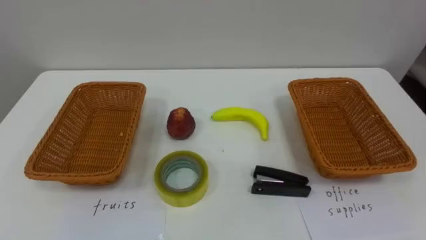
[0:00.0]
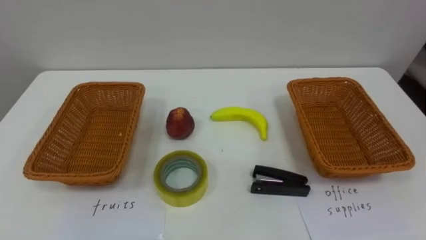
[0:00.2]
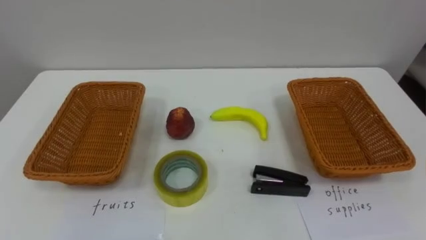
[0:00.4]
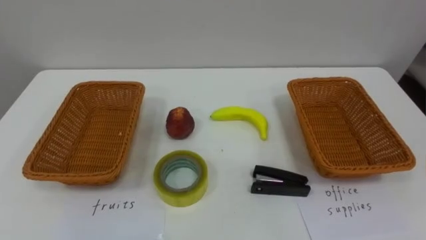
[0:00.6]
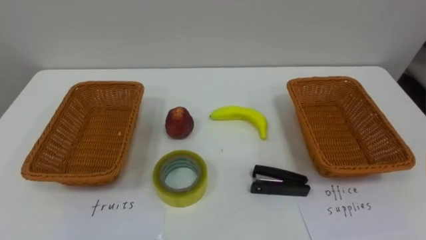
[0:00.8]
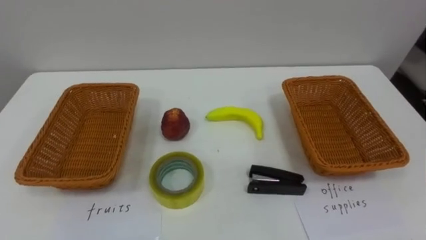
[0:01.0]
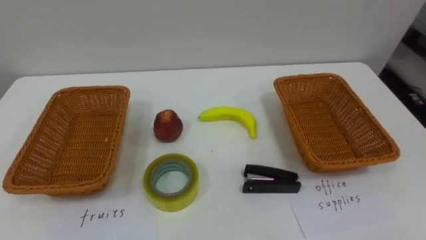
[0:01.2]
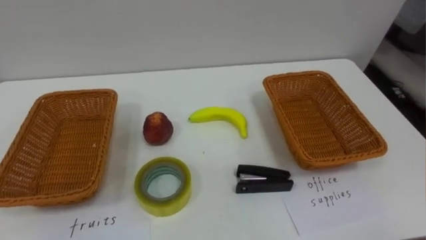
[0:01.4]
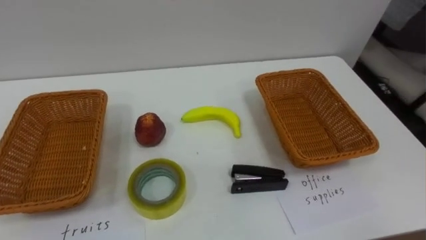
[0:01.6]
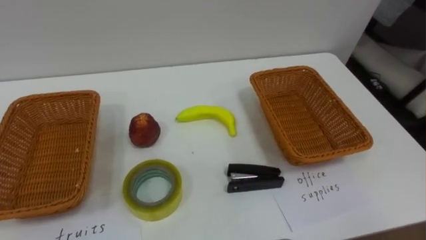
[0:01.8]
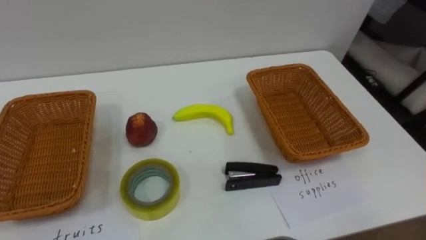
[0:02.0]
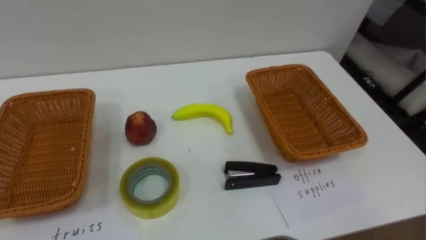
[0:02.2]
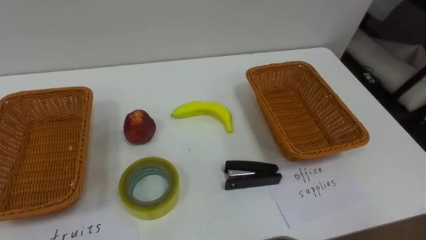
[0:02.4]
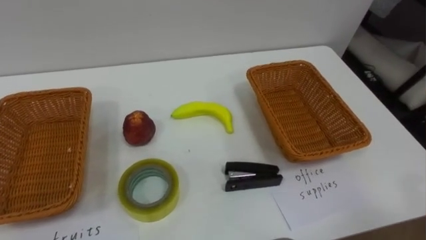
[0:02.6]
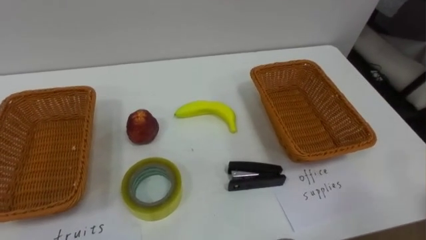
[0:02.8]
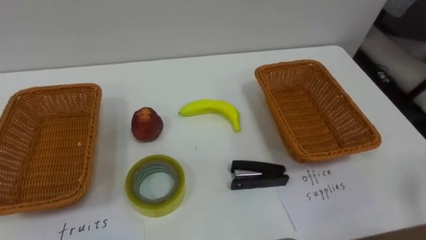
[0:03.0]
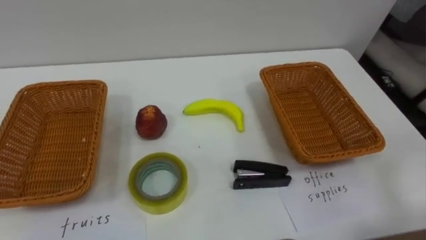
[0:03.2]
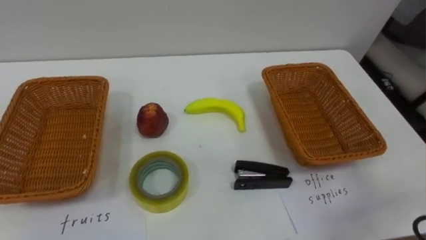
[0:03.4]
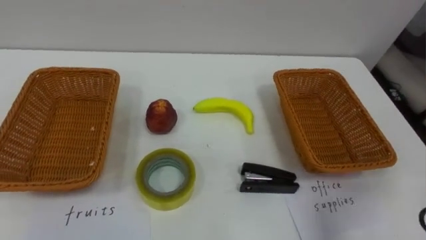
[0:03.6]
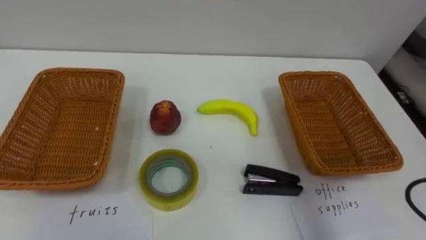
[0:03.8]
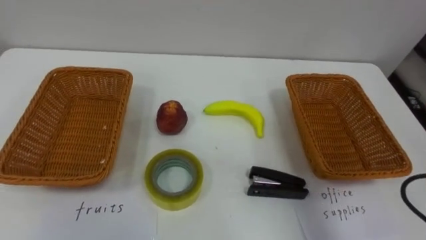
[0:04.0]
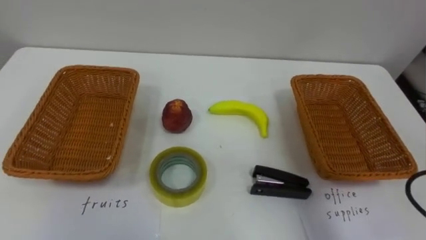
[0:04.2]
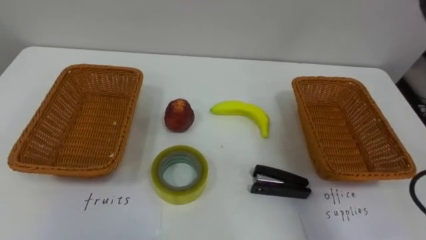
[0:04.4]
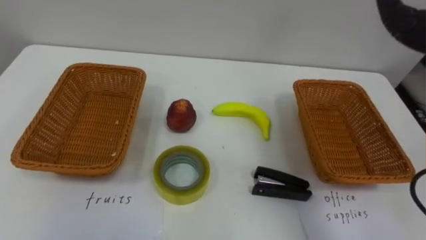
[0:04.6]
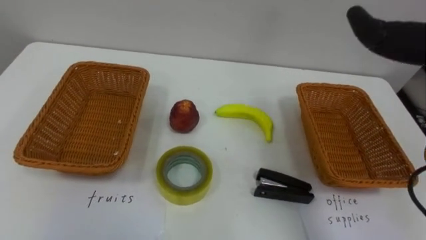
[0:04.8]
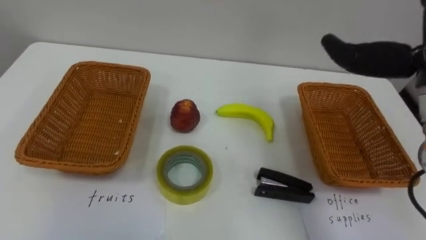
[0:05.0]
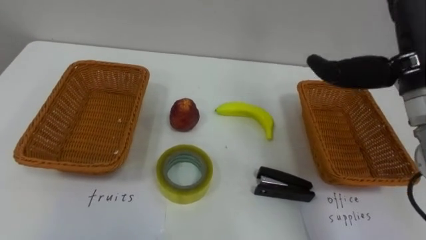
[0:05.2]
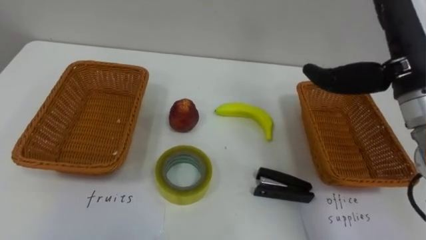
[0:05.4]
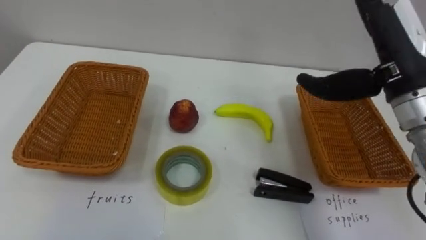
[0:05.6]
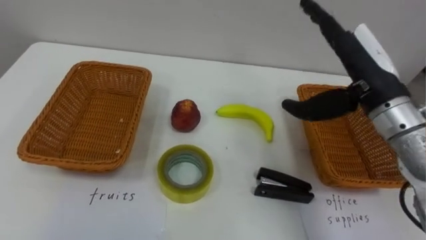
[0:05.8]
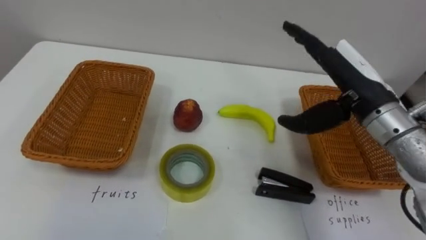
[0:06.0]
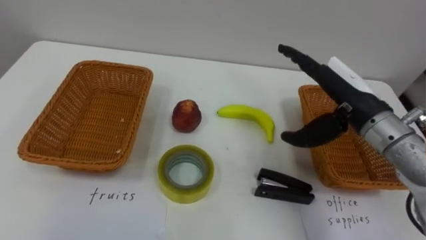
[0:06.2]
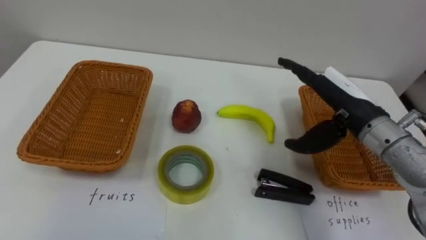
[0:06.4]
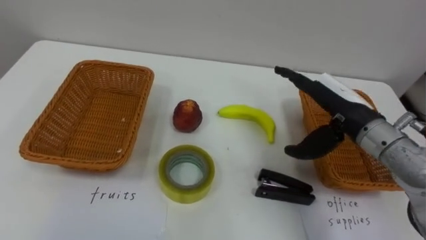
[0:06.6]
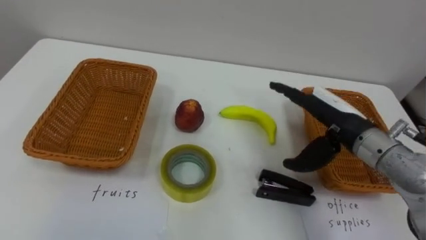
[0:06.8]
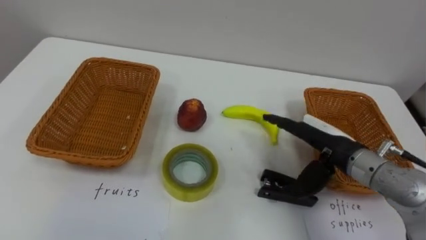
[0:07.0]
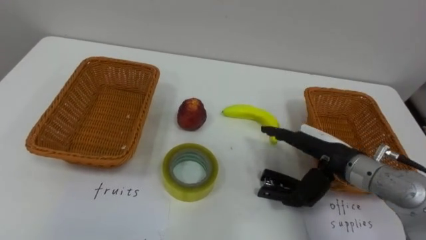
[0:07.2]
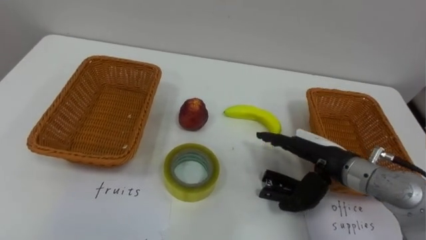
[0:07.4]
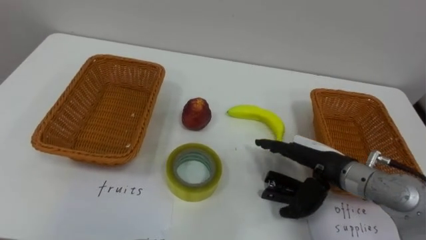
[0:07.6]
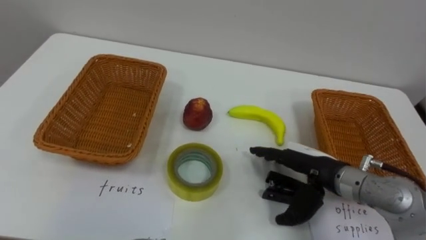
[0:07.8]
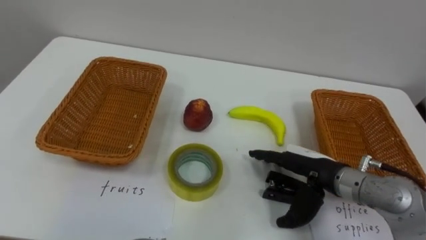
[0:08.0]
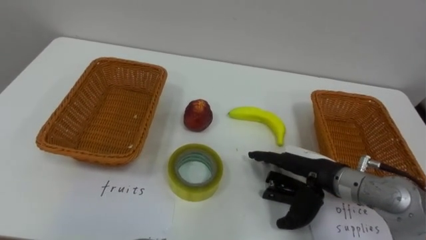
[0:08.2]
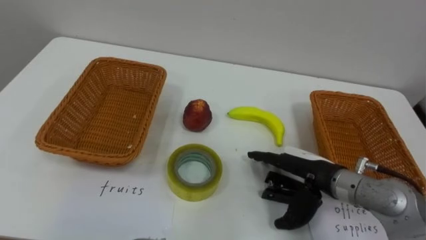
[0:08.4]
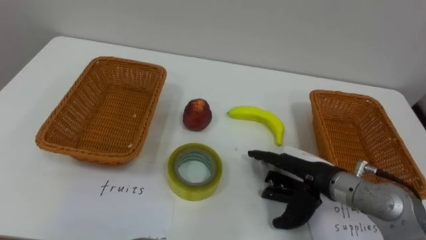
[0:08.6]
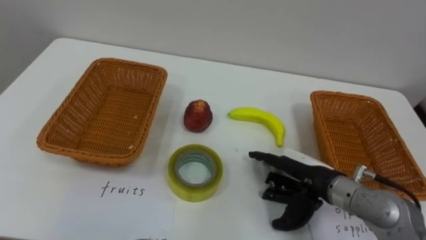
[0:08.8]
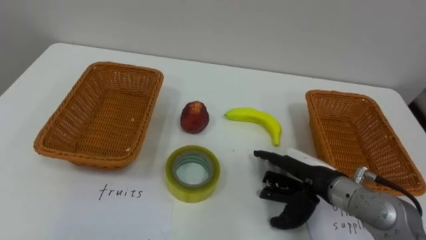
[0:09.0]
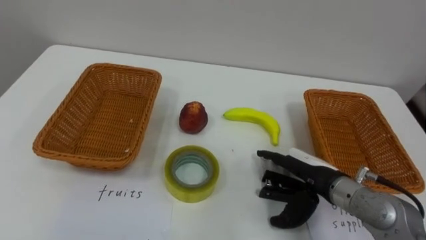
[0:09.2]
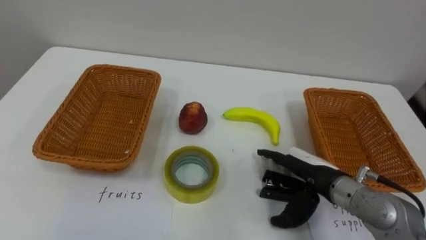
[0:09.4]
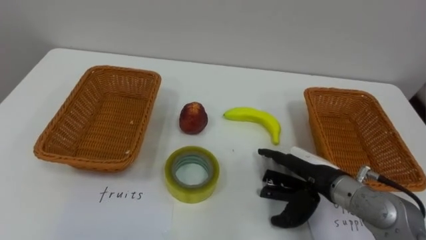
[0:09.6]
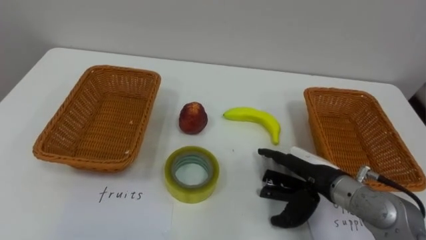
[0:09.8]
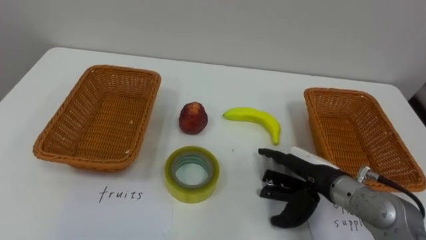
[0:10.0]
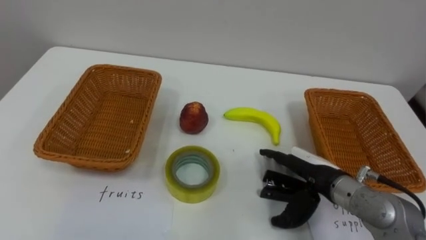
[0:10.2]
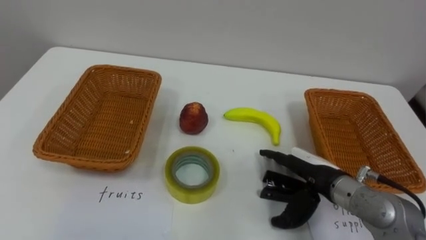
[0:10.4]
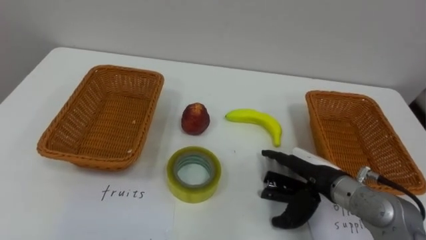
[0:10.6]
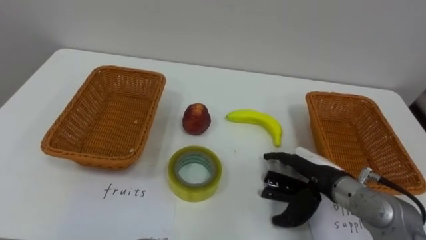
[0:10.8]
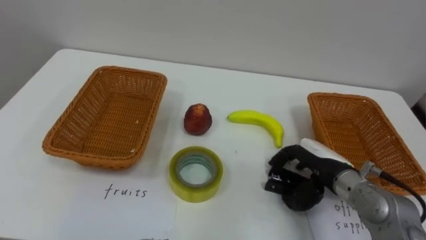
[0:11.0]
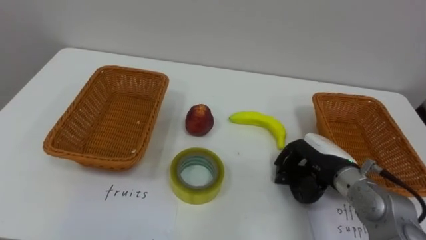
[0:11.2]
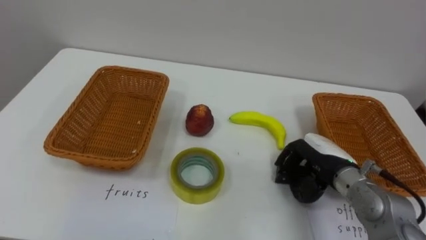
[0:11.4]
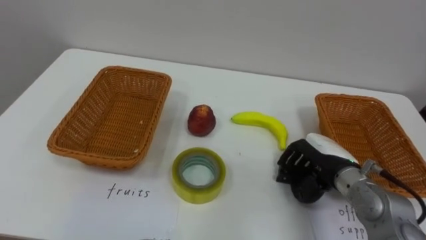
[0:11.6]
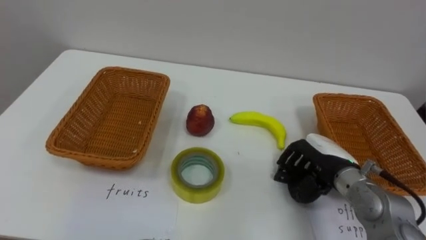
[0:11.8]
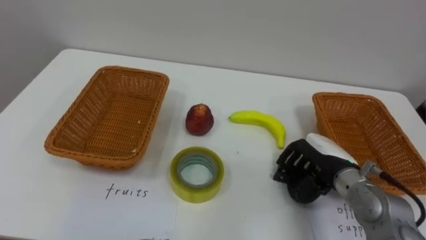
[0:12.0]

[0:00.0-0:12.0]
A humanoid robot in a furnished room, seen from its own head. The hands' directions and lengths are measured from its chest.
Task of the whole recording: Separate the items on the table and place them into the two baskets.
0:06.0 to 0:07.6: The right hand heads downward, covering approximately 15 cm.
0:10.4 to 0:12.0: The right hand closes up.

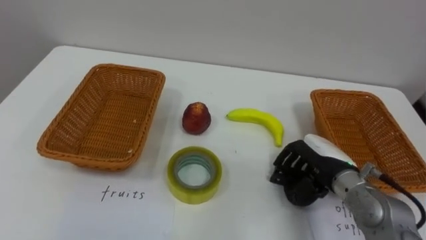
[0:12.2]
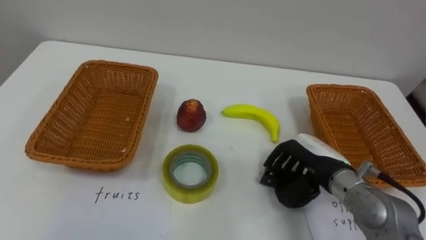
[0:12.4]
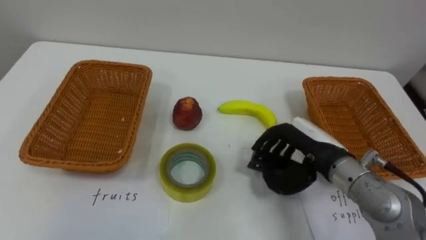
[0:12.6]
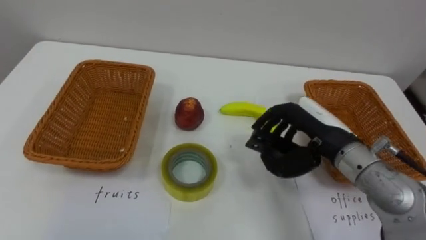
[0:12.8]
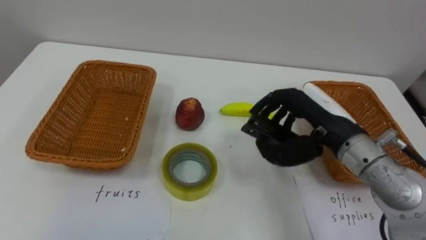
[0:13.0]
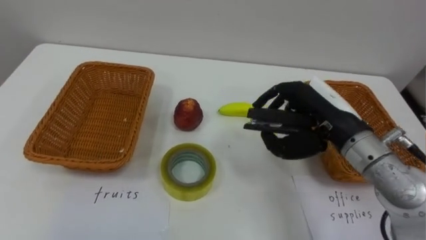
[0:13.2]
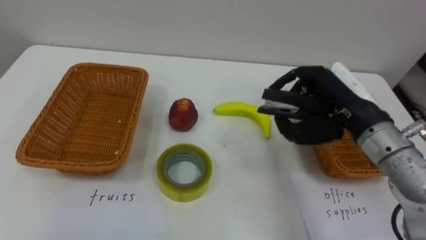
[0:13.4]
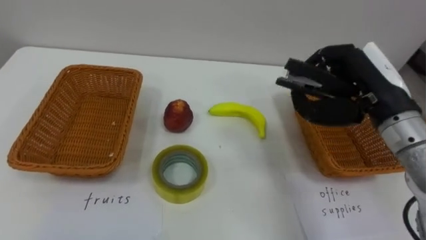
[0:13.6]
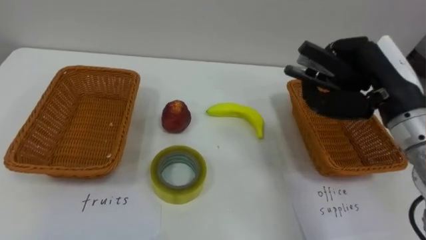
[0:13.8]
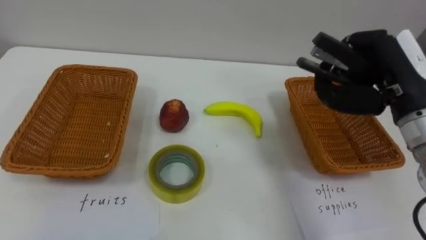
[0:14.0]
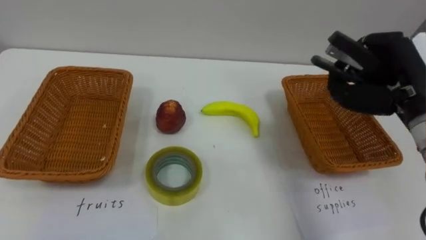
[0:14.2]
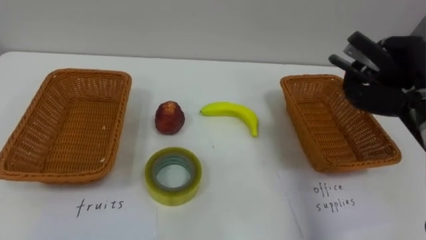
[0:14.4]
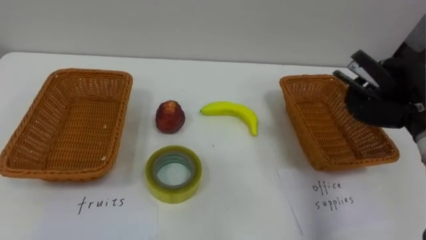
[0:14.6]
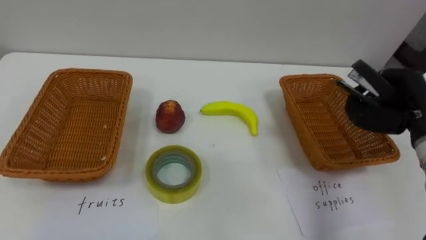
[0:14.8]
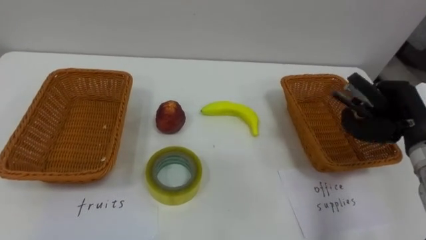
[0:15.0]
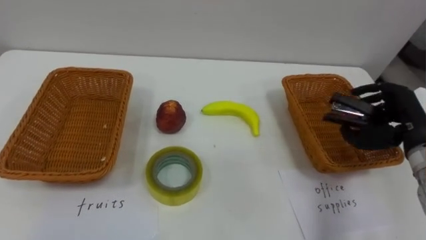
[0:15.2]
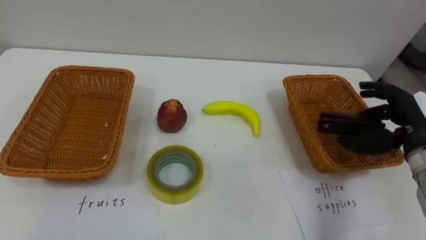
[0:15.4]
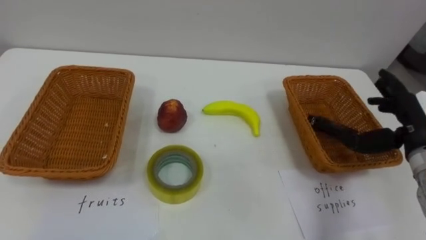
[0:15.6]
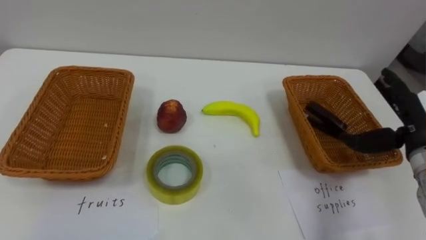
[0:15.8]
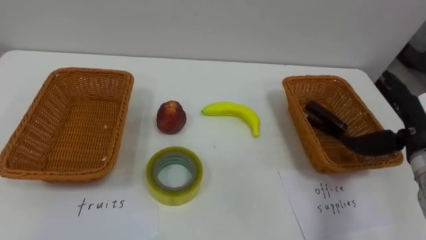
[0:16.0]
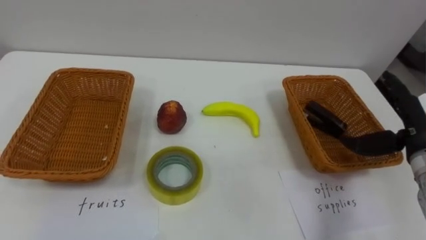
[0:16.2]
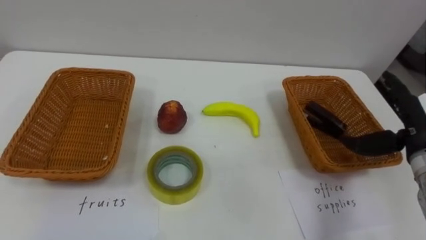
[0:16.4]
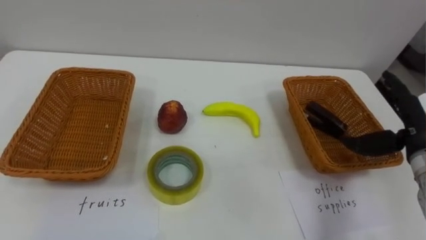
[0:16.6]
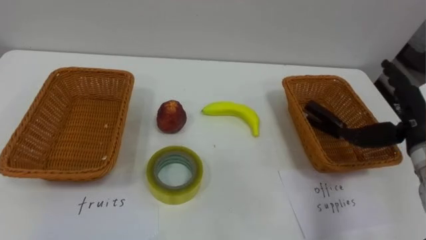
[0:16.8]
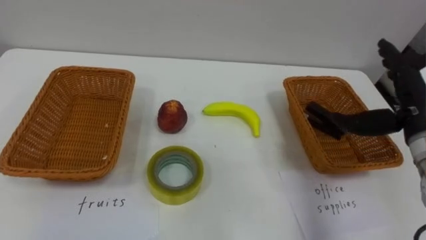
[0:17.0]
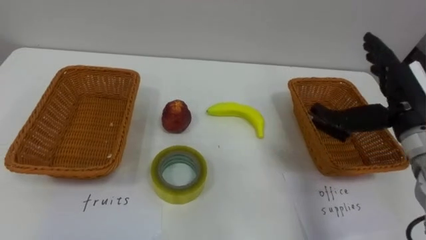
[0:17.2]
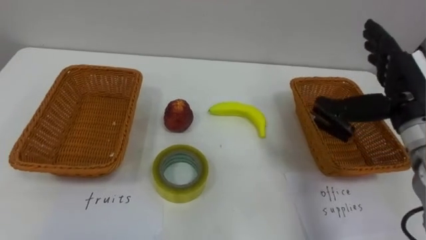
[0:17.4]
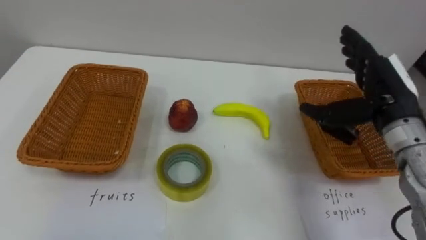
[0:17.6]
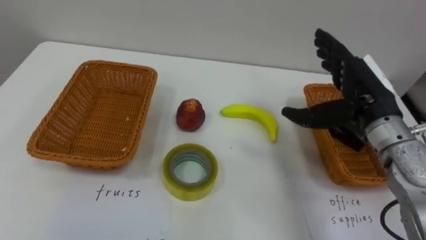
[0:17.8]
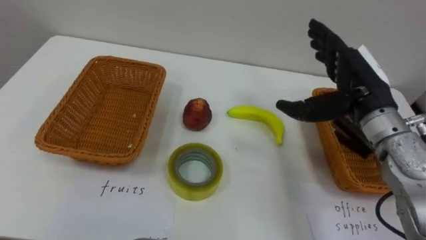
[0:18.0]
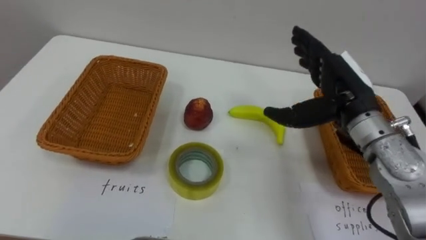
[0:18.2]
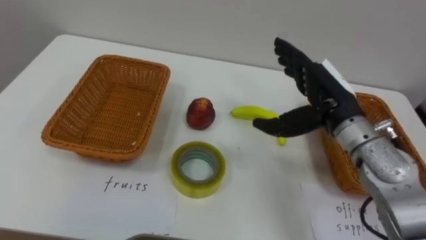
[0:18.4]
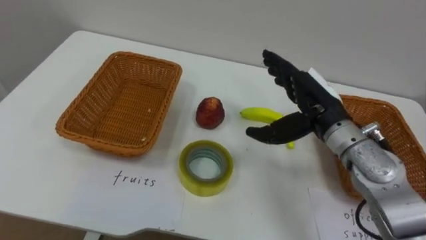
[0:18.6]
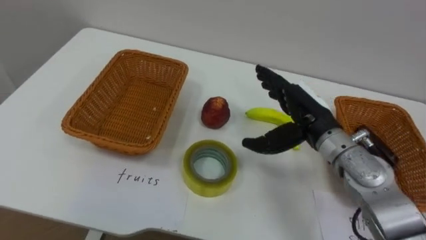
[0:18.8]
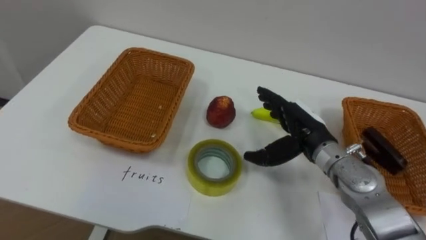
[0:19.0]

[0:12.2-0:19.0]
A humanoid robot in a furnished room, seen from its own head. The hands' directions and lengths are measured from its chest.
Task of the whole recording: Separate the items on the table and place them into the two baskets.
0:12.2 to 0:13.6: The right hand travels upward by some 15 cm.
0:13.6 to 0:15.0: The right hand is displaced to the right and downward by approximately 15 cm.
0:15.0 to 0:16.2: The right hand opens its fingers.
0:16.2 to 0:17.6: The right hand travels to the left and upward by about 10 cm.
0:17.6 to 0:19.0: The right hand shifts some 15 cm to the left and downward.
